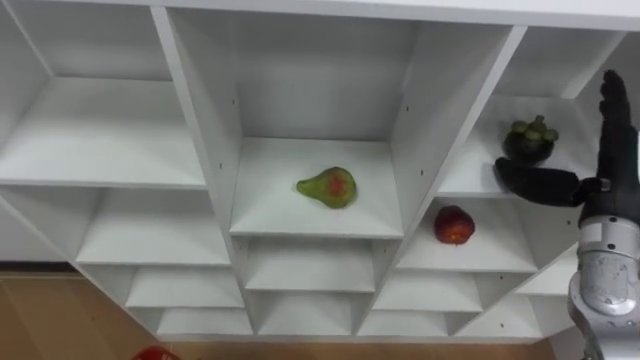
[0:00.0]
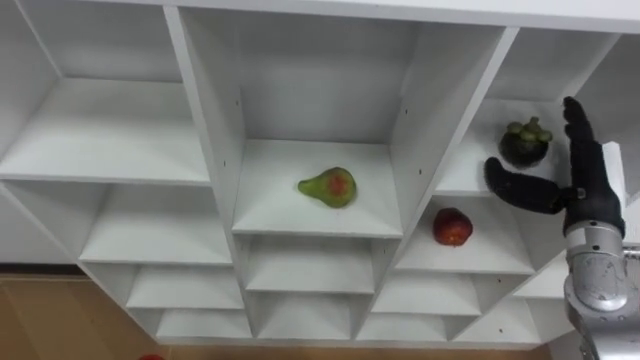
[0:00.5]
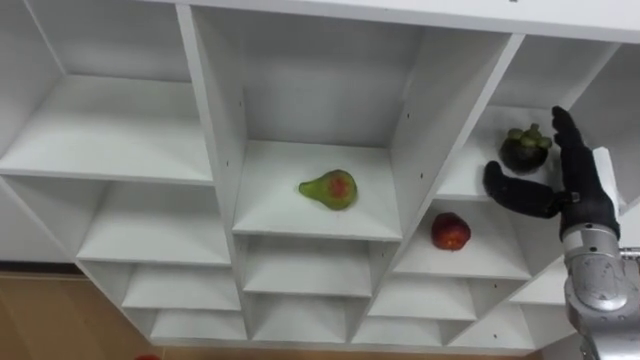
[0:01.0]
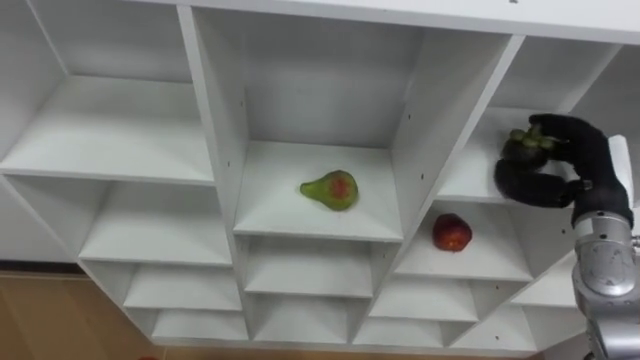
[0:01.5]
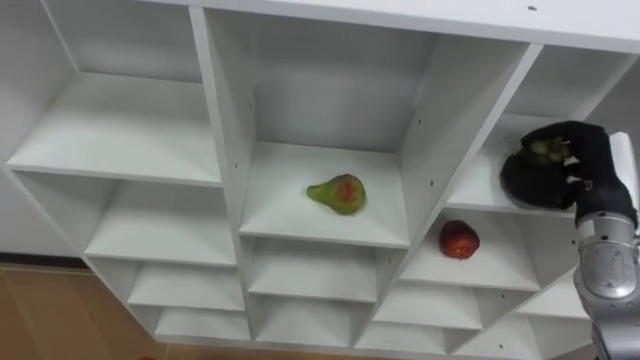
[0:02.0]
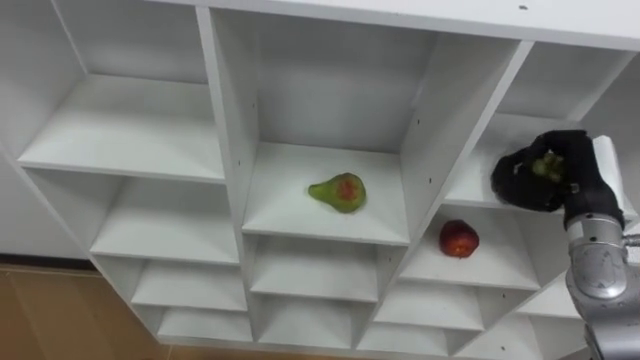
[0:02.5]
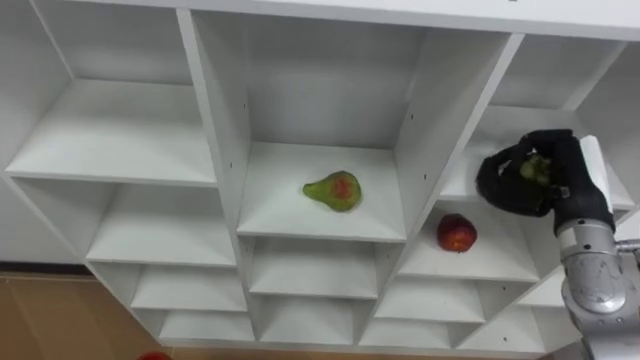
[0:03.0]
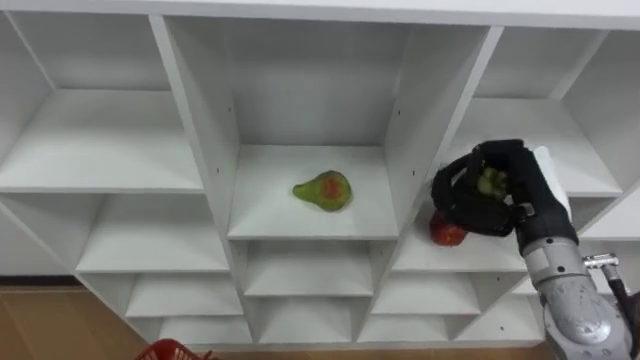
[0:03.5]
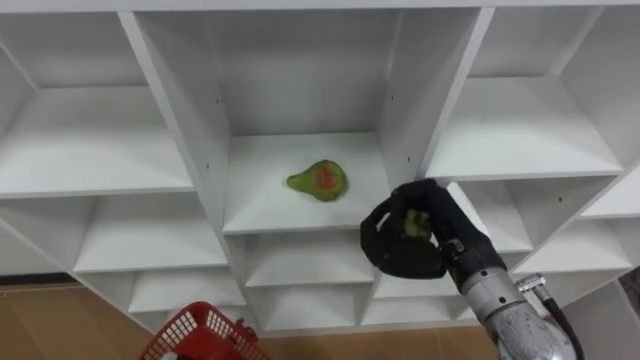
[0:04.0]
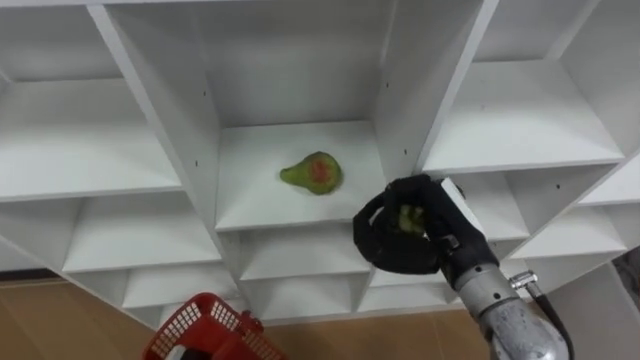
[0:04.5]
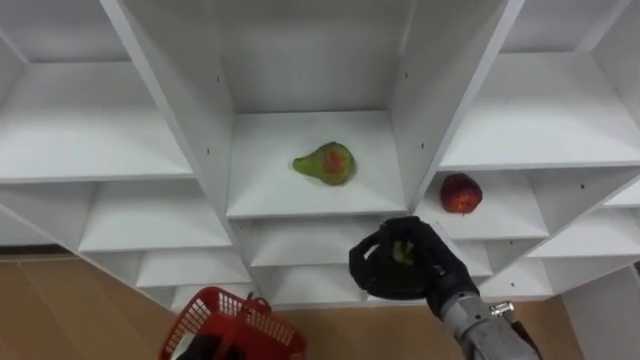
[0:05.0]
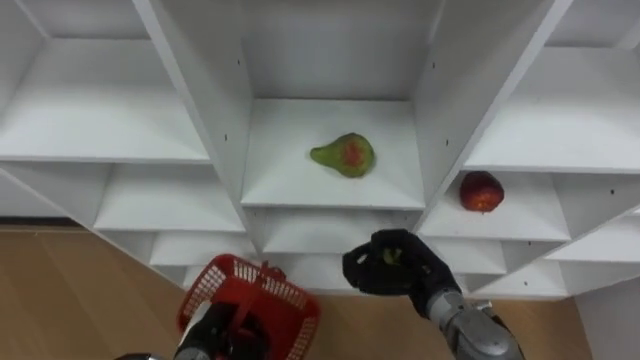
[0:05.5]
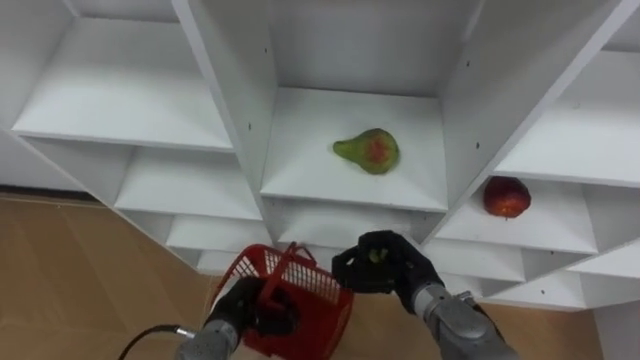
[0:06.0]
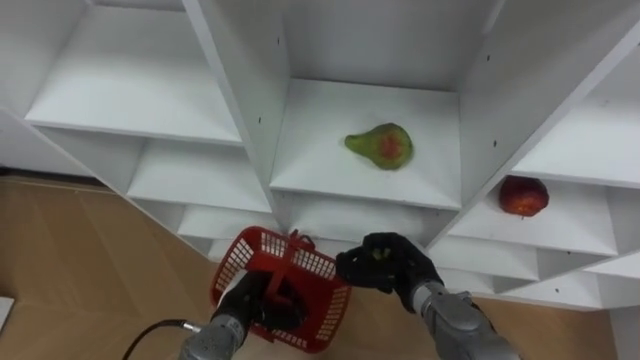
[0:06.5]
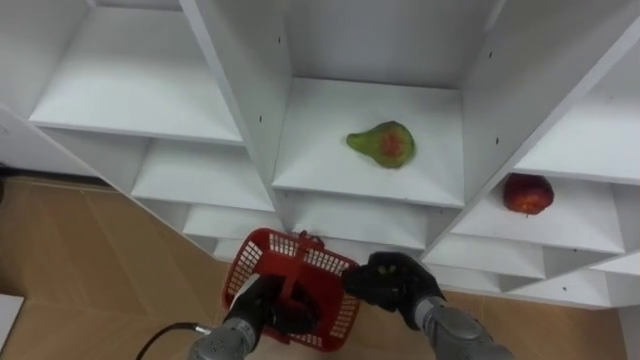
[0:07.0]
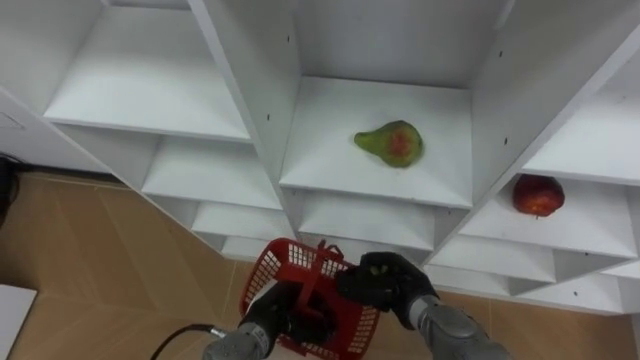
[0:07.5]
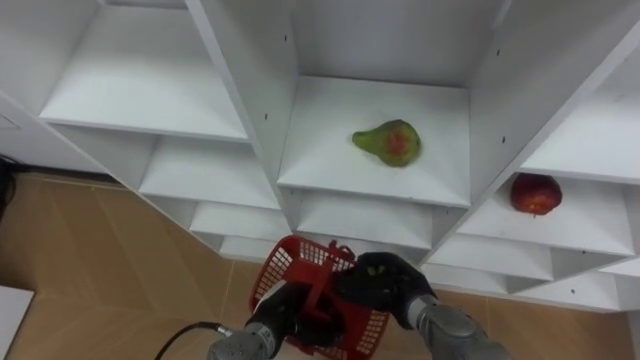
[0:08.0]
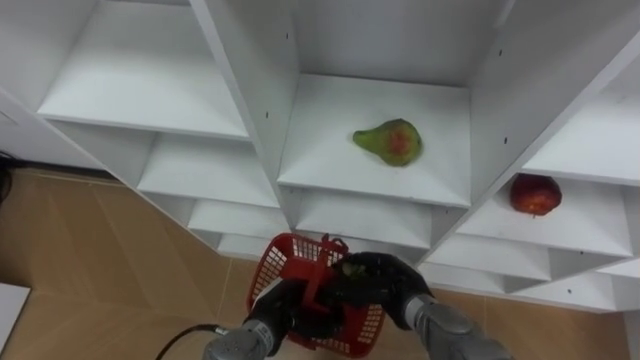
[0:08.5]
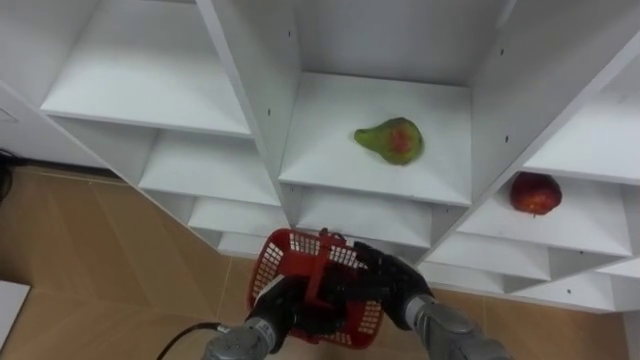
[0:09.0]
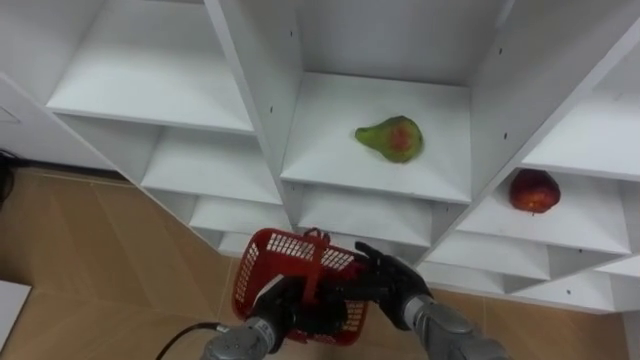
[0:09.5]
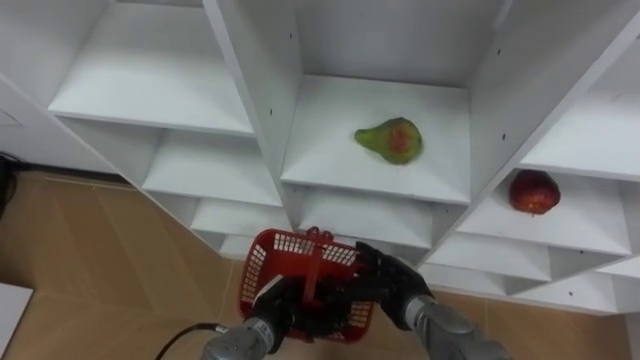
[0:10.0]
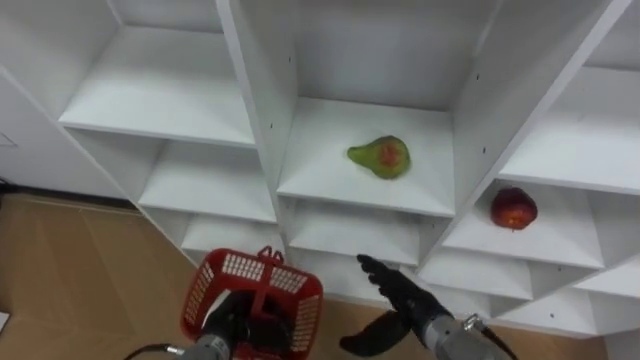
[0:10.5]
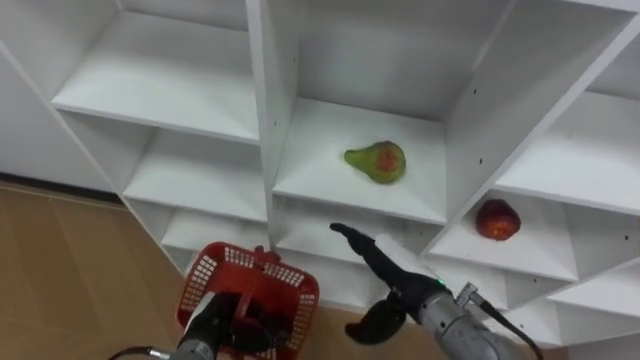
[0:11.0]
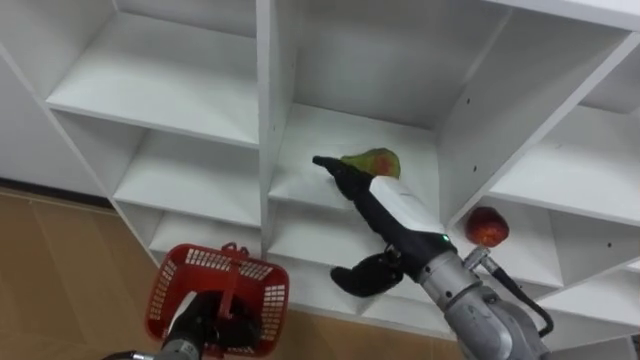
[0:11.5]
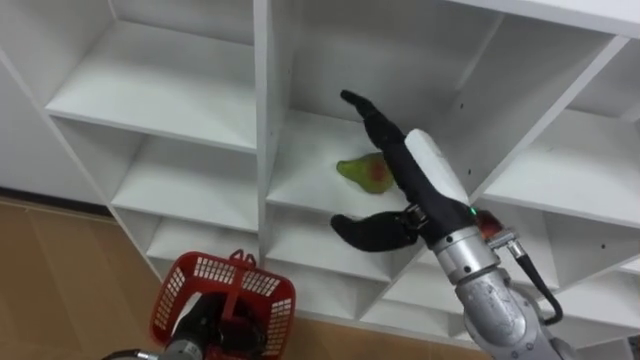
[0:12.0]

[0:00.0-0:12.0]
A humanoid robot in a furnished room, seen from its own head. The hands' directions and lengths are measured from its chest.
Task of the whole recording: Hold the basket and collect the fruits from 3 different cells of the closet into it.
0:00.0 to 0:02.0: The right hand closes its fingers.
0:02.0 to 0:04.0: The right hand travels to the left by approximately 15 cm.
0:04.0 to 0:06.0: The right hand heads downward and to the left, covering approximately 15 cm.
0:06.0 to 0:08.0: The left hand moves to the right, roughly 5 cm.
0:08.0 to 0:10.0: The right hand opens.
0:10.0 to 0:12.0: The right hand moves upward, some 25 cm. The left hand goes approximately 10 cm to the left.

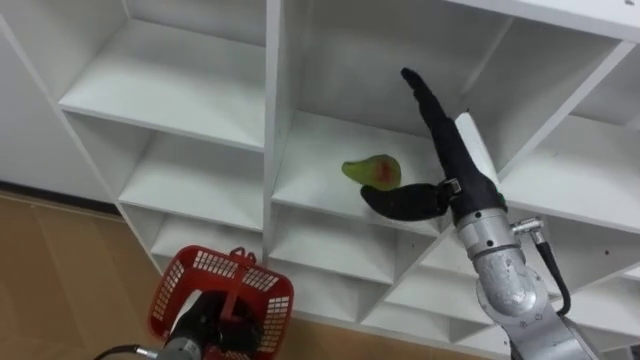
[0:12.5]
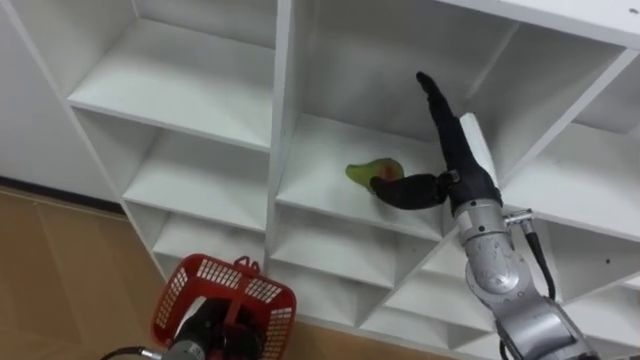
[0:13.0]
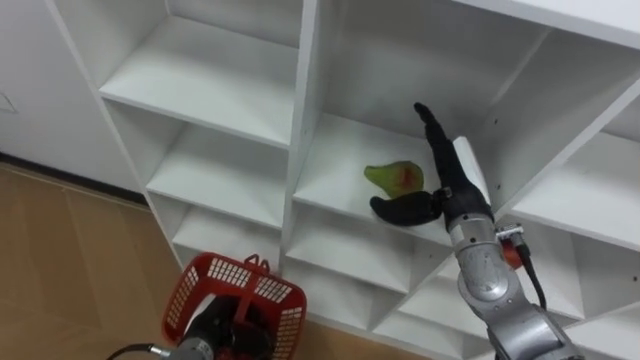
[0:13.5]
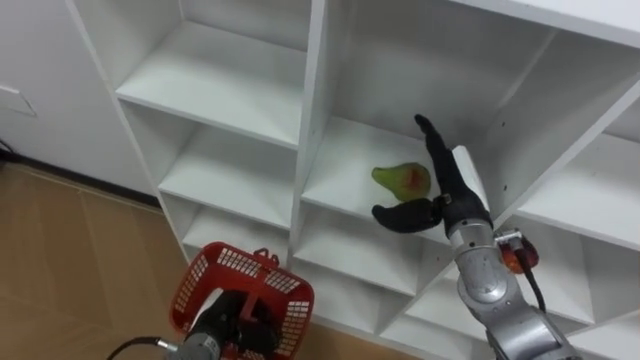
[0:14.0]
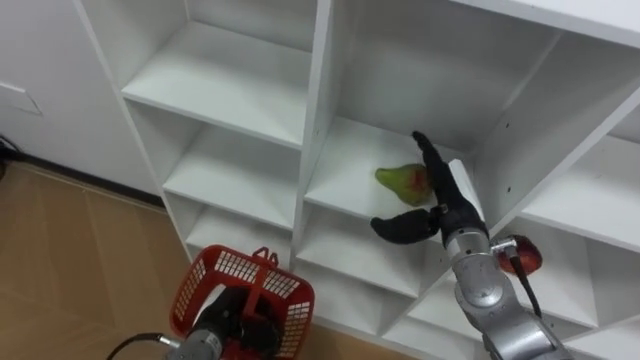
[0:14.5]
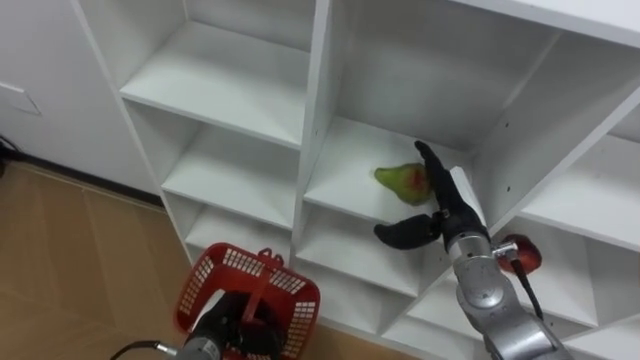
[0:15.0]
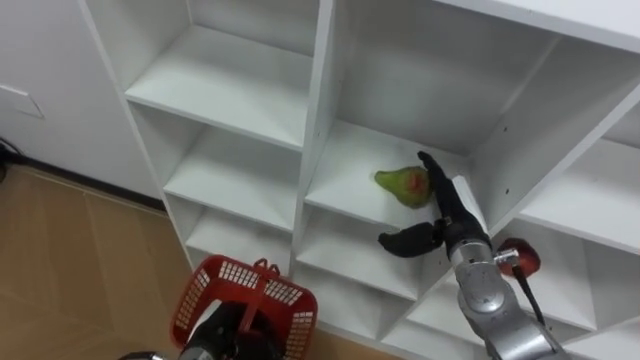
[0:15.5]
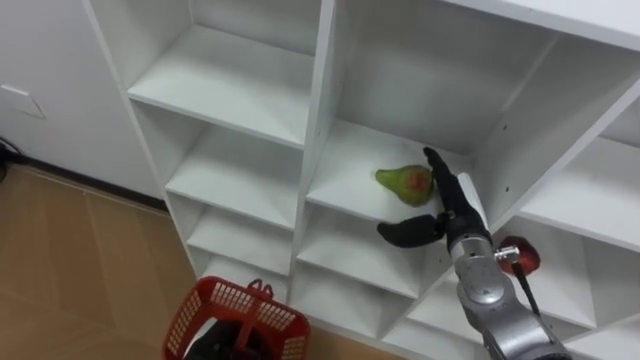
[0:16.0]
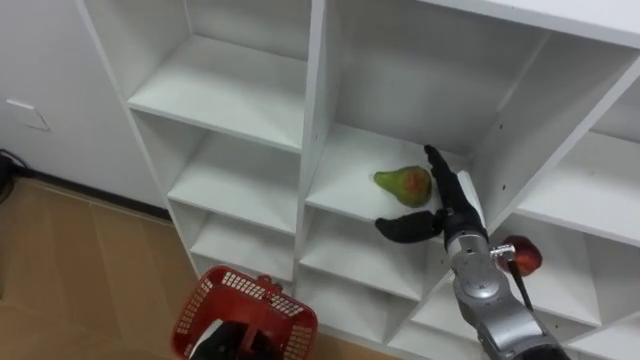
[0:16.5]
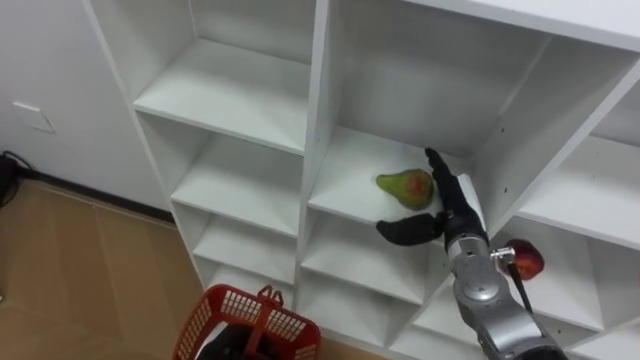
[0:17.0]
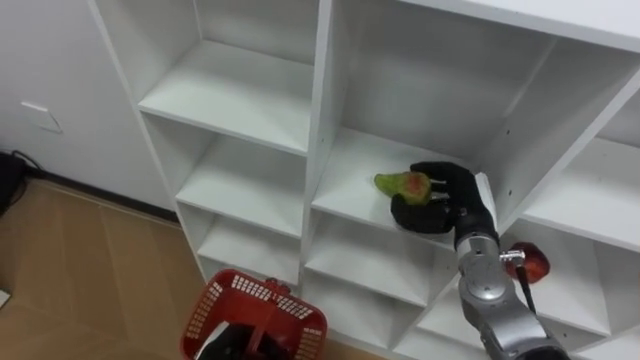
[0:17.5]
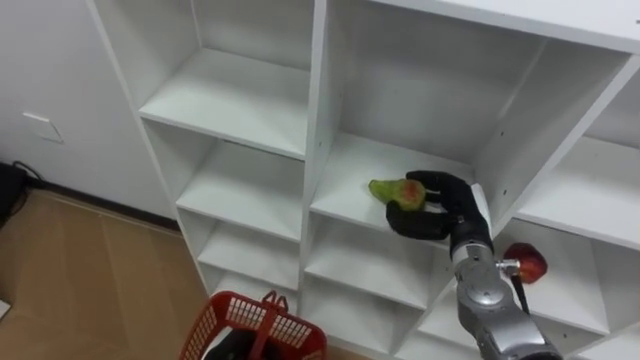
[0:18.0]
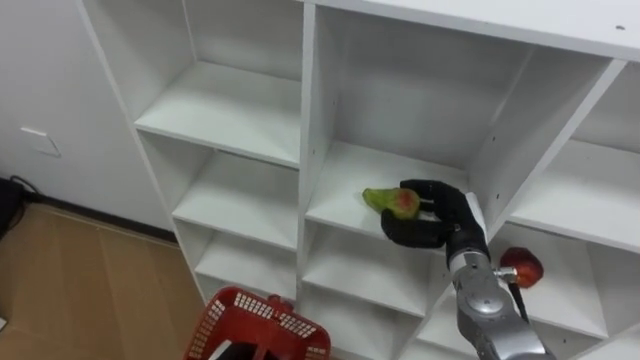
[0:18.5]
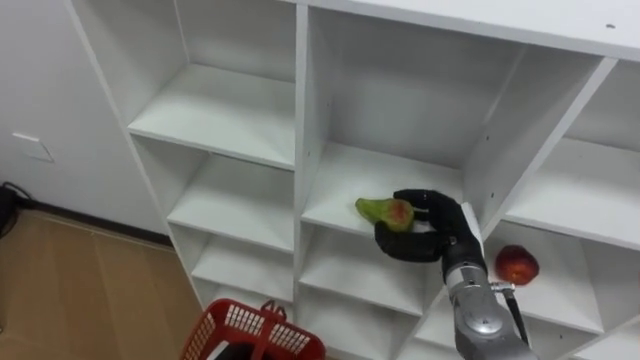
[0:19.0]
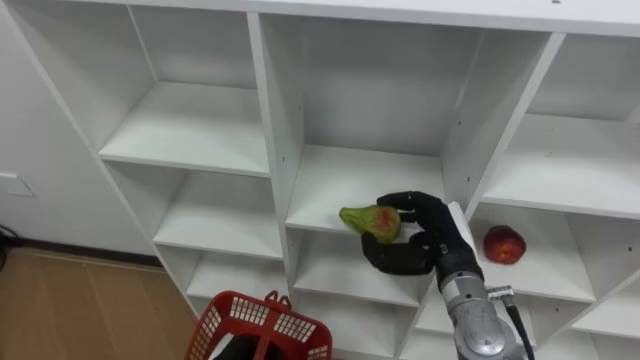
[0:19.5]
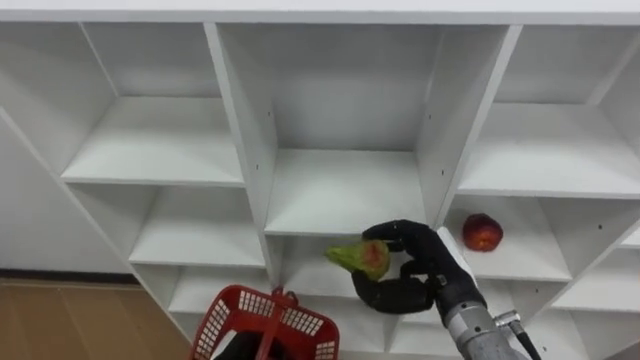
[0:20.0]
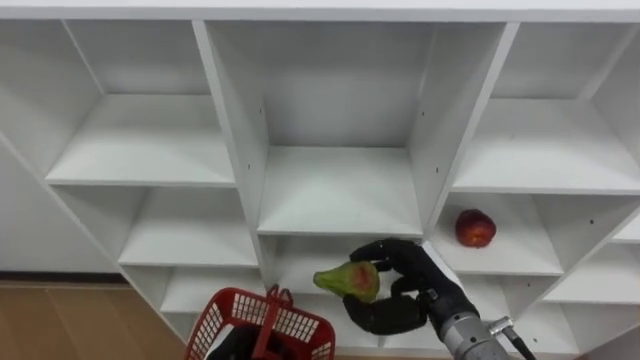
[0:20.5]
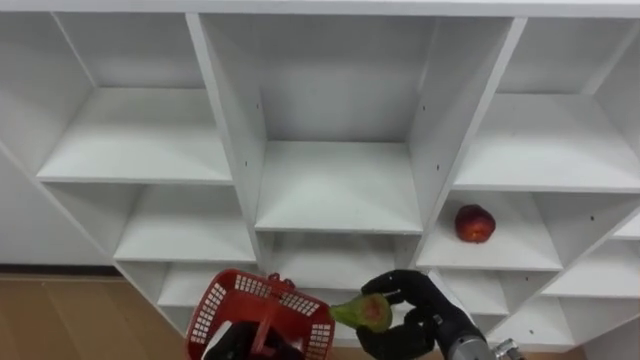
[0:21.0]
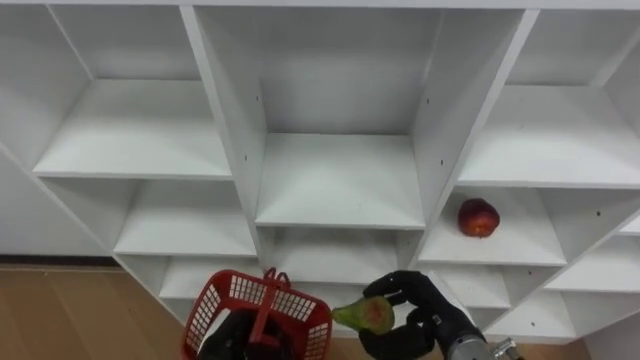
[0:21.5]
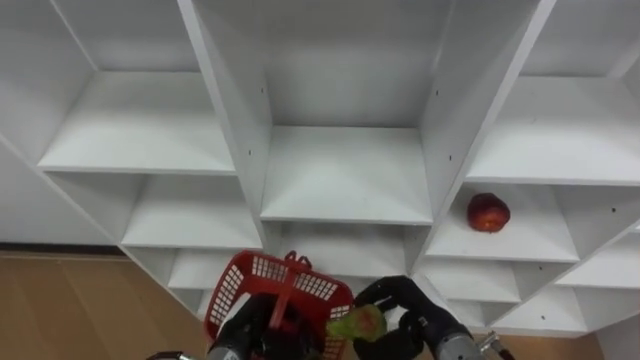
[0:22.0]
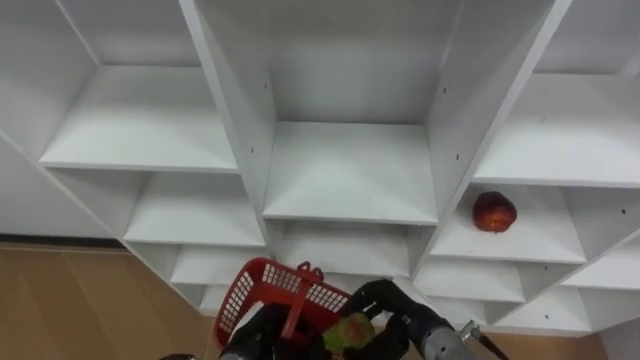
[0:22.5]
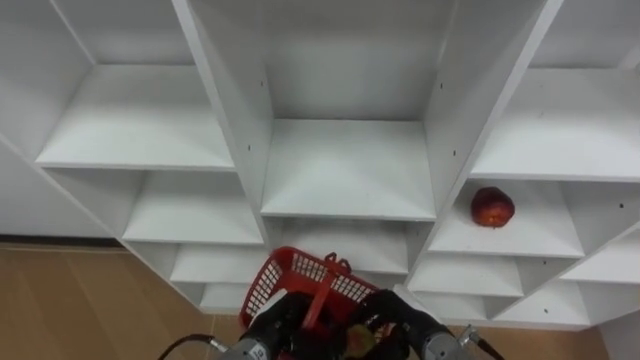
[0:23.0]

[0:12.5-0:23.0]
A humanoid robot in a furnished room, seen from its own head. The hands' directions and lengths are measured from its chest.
Task of the whole recording: Hold the basket and collect the fruits from 3 different cells of the closet into it.
0:12.5 to 0:14.5: The right hand travels downward by some 10 cm.
0:14.5 to 0:16.5: The hands make only small movements.
0:16.5 to 0:19.0: The right hand closes up.
0:19.0 to 0:21.0: The right hand heads backward, covering roughly 10 cm.
0:21.0 to 0:23.0: The left hand goes about 5 cm to the right, while the right hand changes place by approximately 5 cm.
